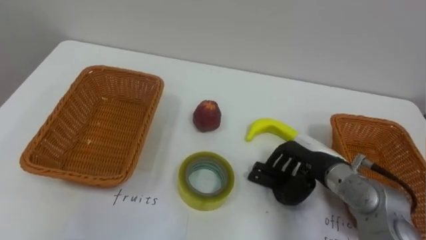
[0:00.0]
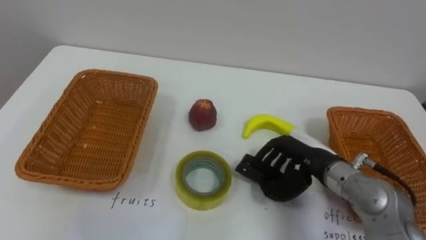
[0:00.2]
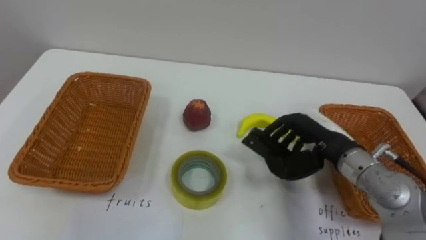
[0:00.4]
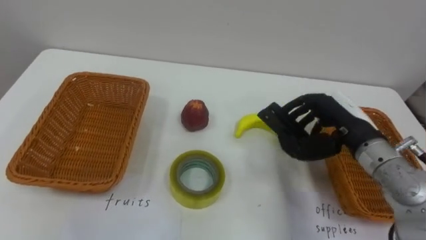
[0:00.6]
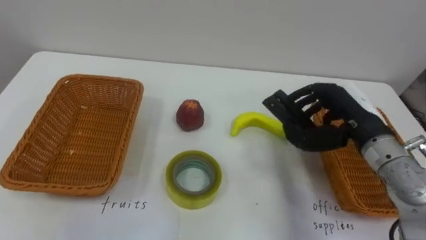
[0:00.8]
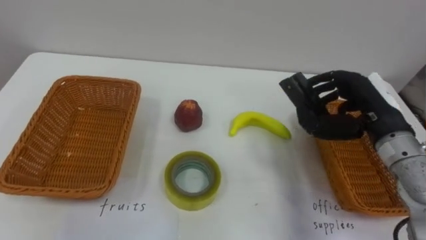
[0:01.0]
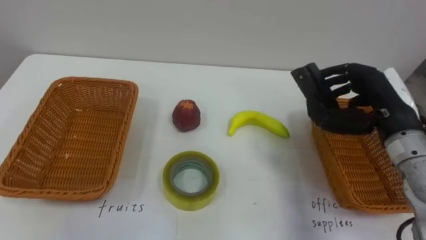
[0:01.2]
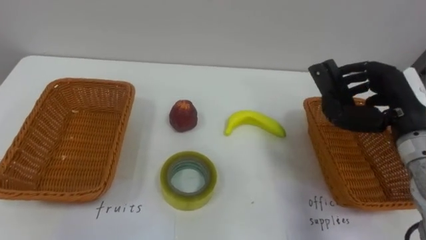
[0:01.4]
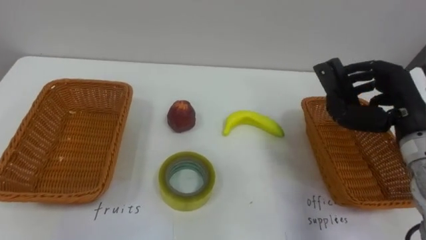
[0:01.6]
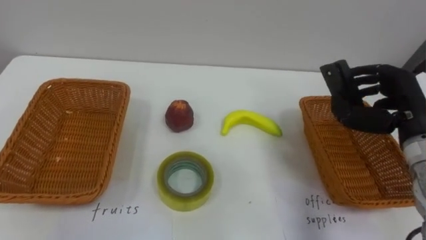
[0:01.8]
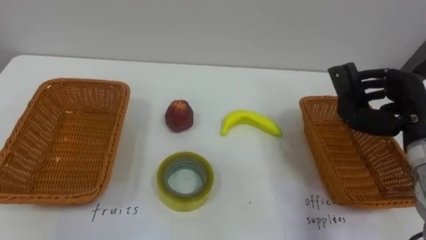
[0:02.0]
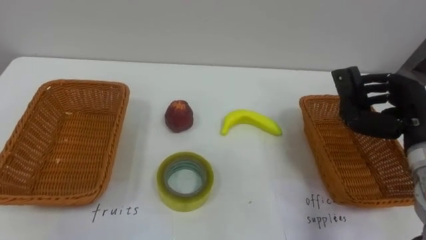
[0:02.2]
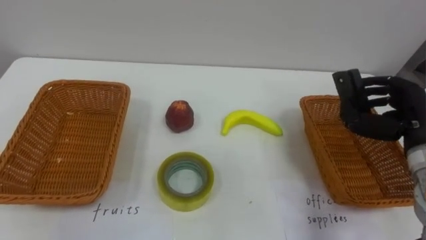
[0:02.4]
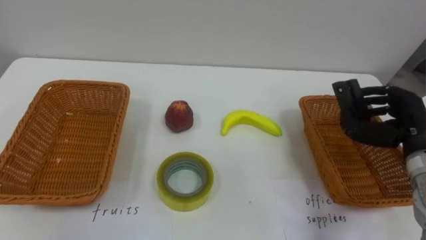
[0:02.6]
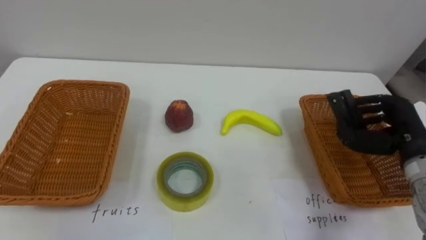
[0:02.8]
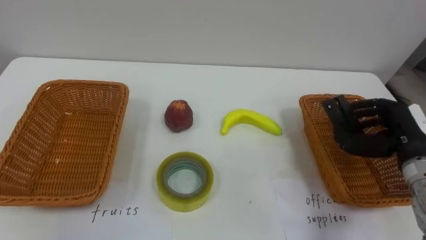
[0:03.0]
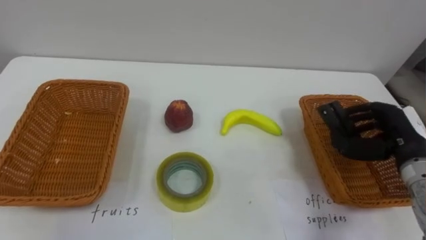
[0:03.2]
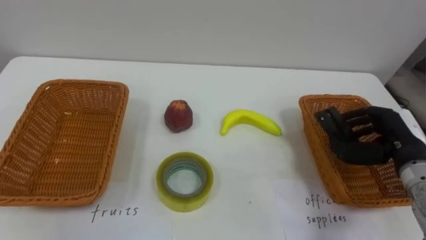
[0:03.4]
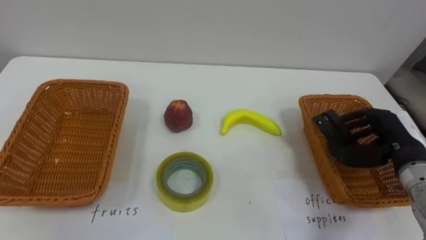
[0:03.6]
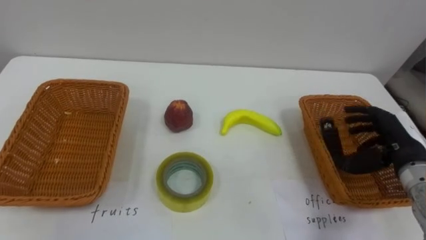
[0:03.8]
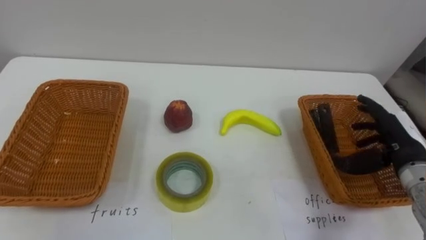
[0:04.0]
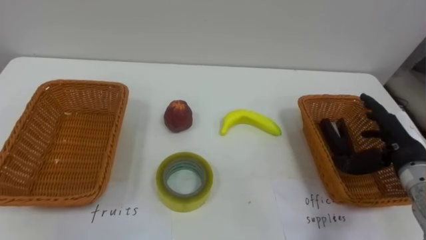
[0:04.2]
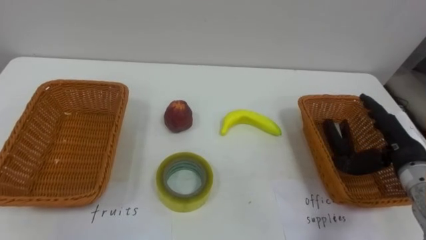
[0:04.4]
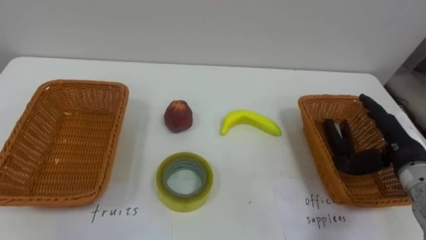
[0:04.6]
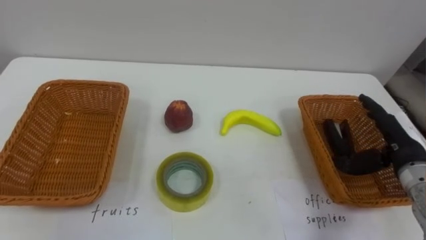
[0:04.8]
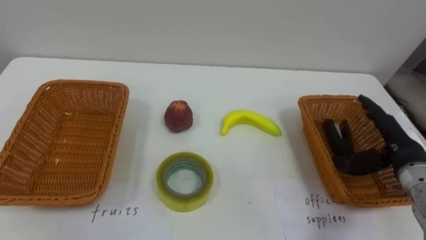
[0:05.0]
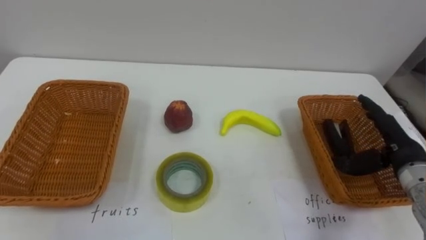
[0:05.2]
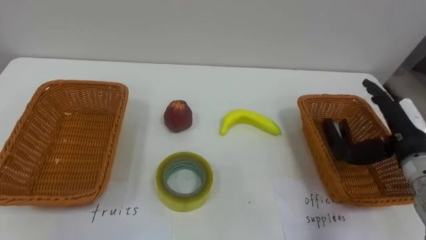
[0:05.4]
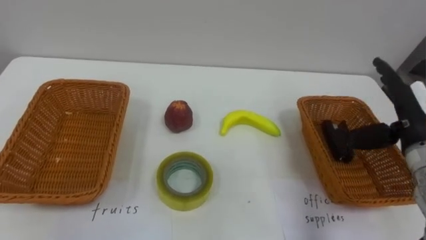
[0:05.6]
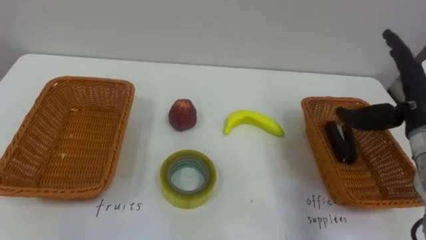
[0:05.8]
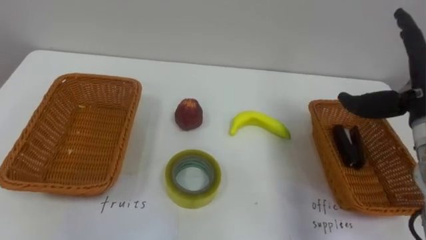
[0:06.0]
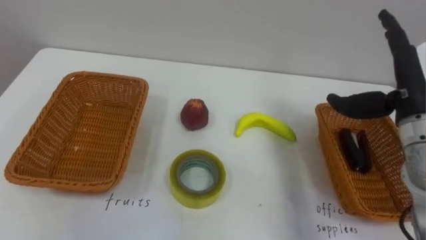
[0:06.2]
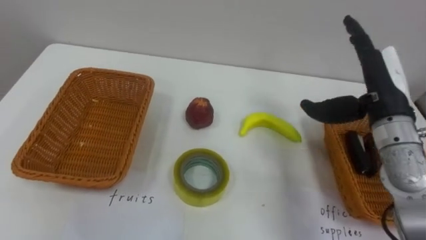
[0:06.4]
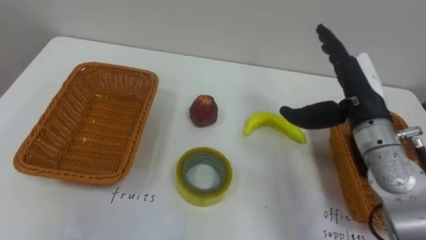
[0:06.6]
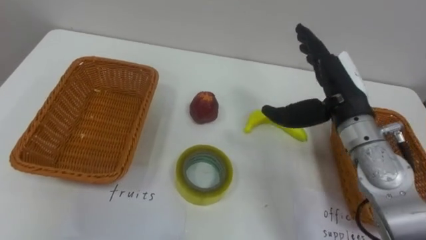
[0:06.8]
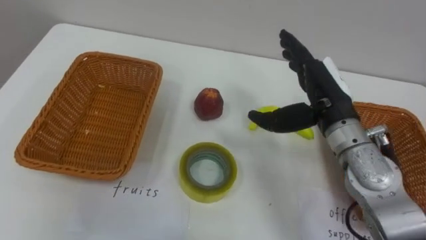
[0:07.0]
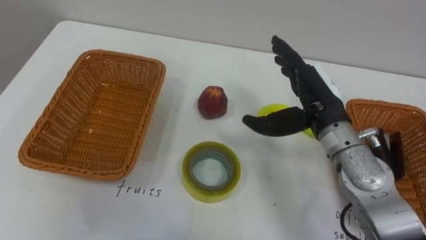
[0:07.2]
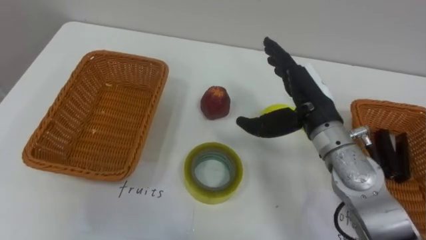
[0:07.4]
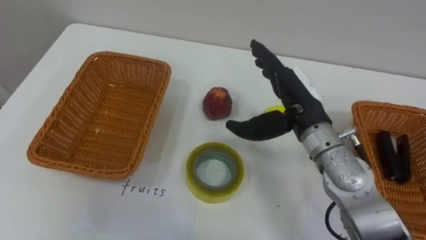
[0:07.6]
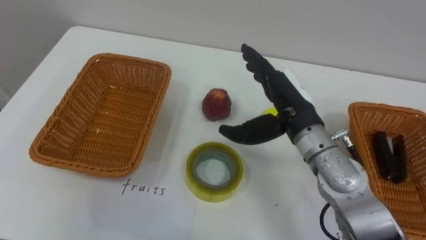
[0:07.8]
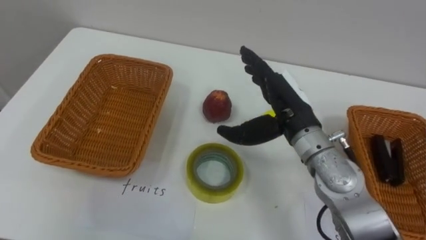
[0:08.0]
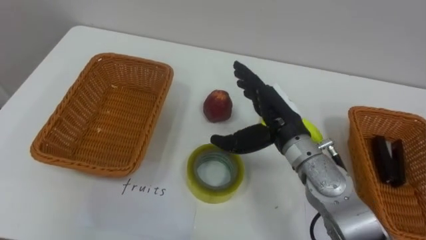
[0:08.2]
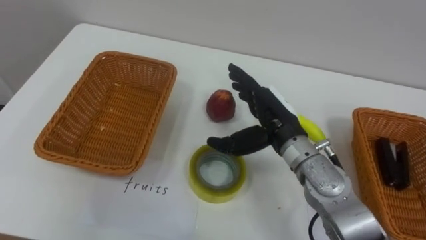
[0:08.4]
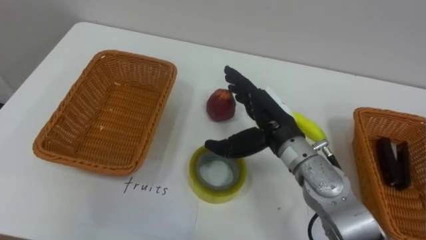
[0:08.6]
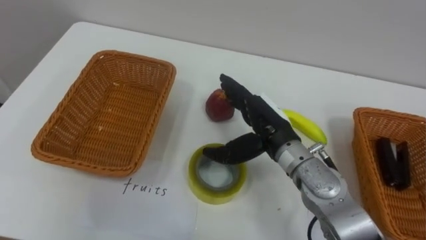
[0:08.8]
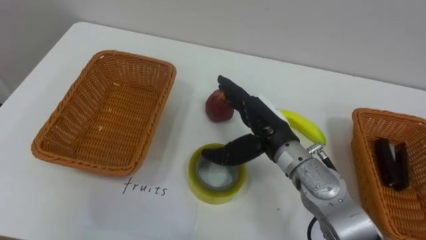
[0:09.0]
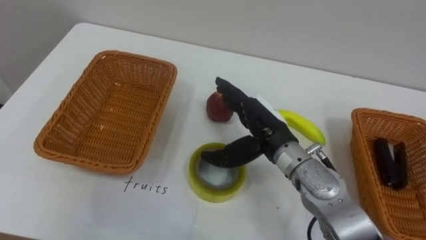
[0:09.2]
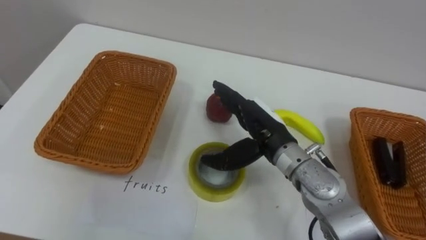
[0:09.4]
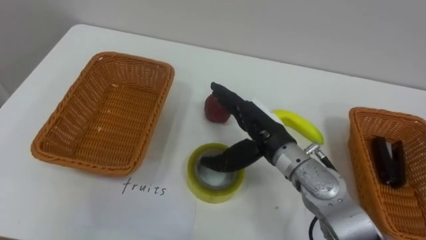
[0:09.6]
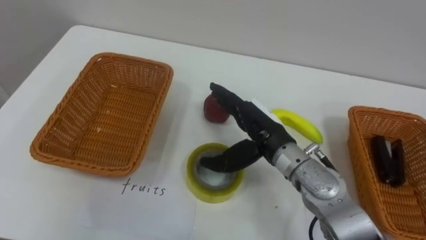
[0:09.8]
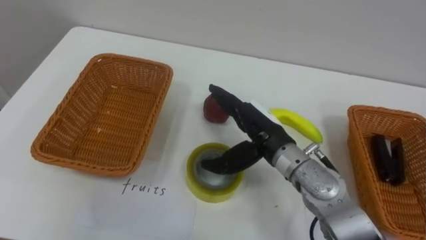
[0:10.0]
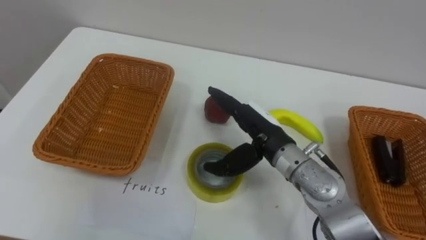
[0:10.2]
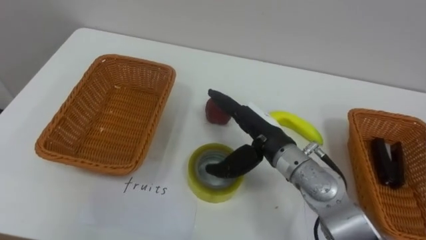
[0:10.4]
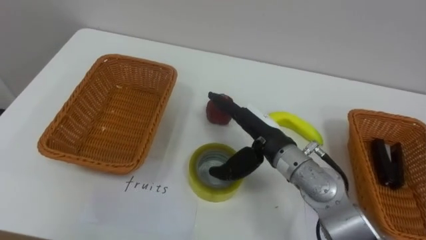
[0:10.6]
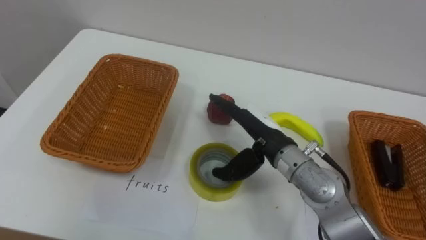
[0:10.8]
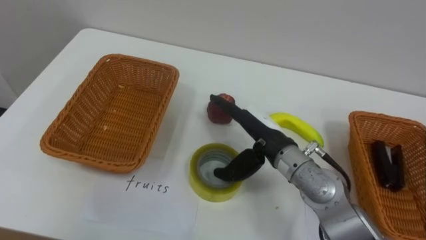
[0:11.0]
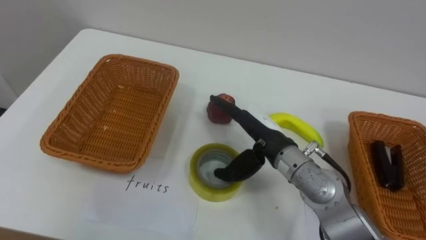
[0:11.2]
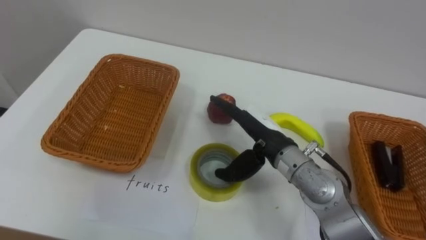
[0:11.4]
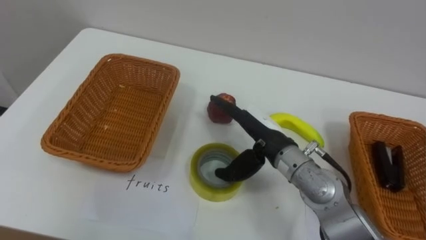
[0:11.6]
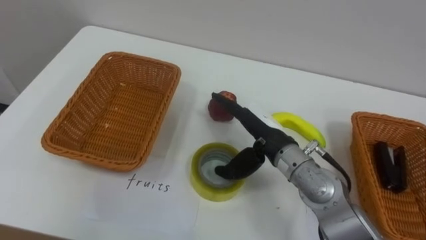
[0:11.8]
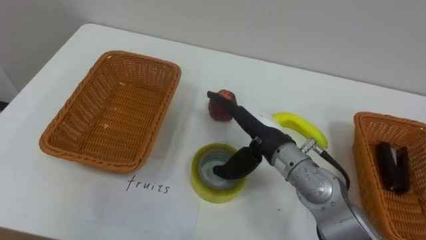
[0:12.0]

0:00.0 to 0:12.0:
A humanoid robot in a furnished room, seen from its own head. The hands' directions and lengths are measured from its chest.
Task of the whole recording: Separate the items on the table and place them into the two baskets.
0:00.0 to 0:01.6: The right hand shifts about 15 cm upward and to the right.
0:01.6 to 0:03.0: The right hand moves downward, about 5 cm.
0:03.0 to 0:04.4: The right hand opens.
0:04.4 to 0:06.0: The right hand shifts roughly 10 cm upward.
0:06.0 to 0:07.6: The right hand travels to the left by roughly 15 cm.
0:07.6 to 0:09.0: The right hand ends up roughly 5 cm from where it was.

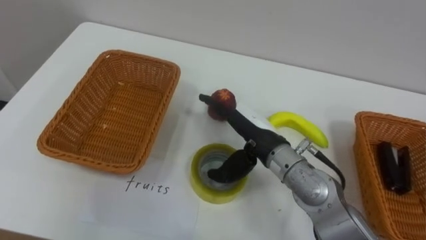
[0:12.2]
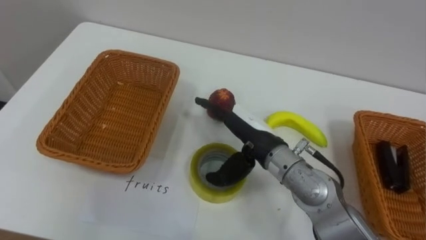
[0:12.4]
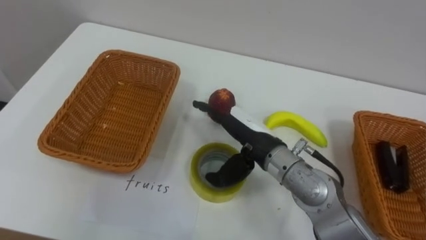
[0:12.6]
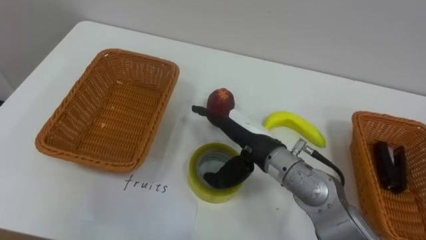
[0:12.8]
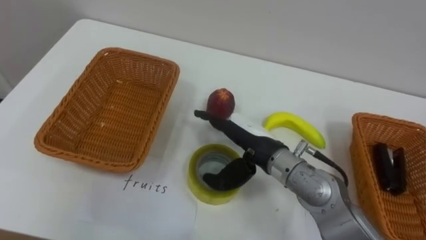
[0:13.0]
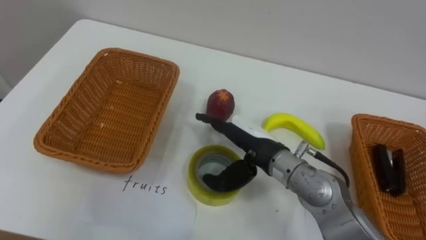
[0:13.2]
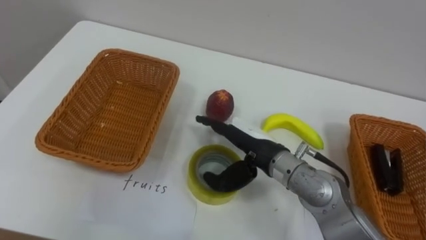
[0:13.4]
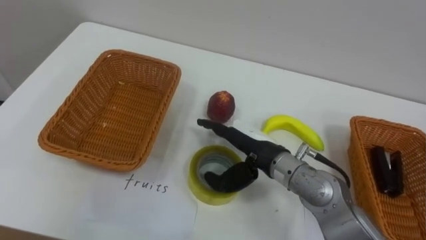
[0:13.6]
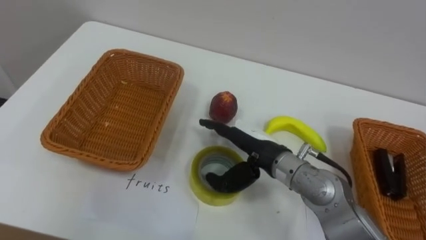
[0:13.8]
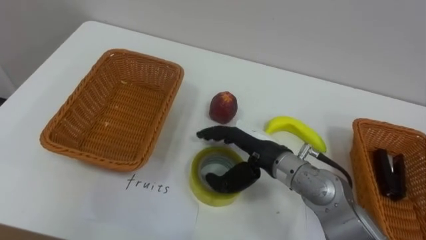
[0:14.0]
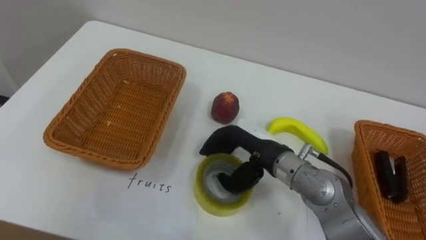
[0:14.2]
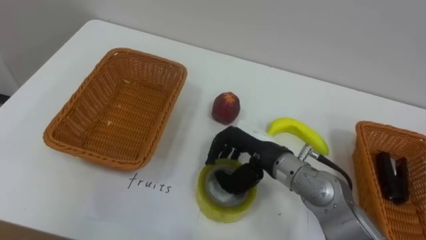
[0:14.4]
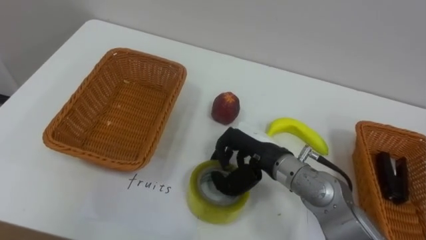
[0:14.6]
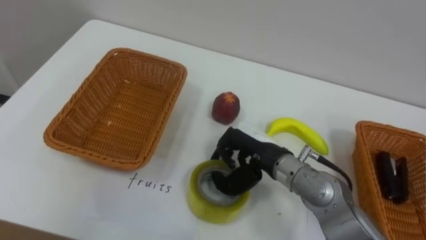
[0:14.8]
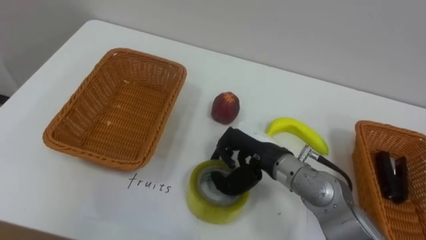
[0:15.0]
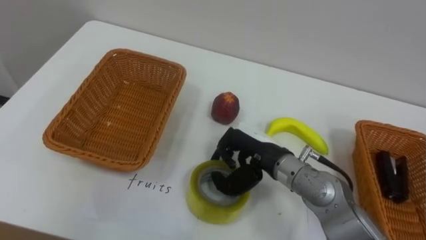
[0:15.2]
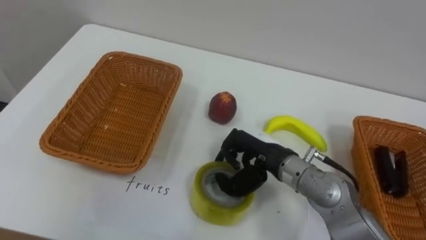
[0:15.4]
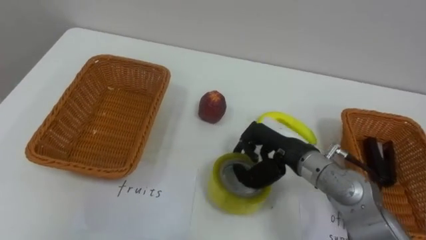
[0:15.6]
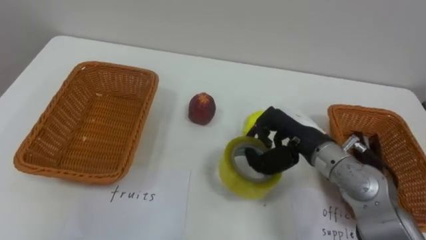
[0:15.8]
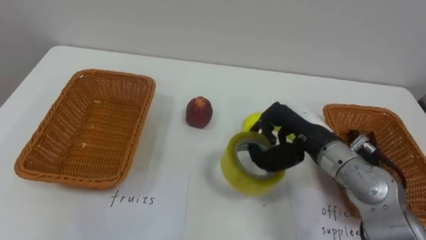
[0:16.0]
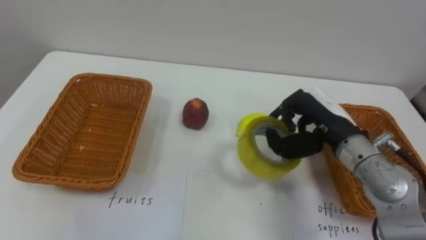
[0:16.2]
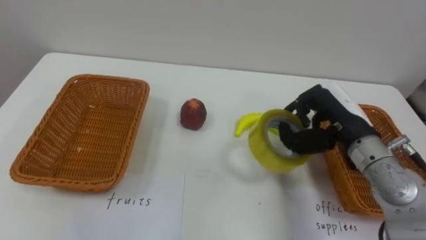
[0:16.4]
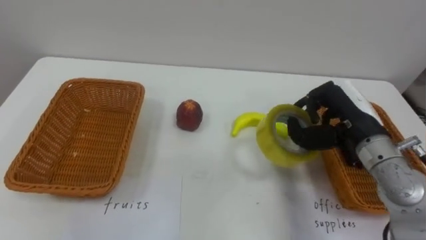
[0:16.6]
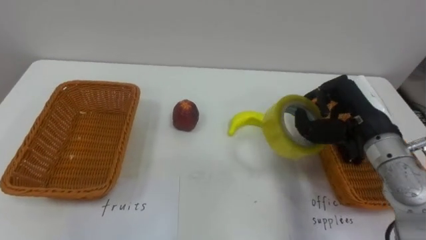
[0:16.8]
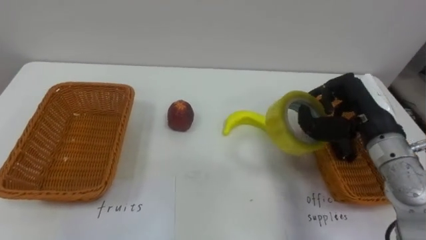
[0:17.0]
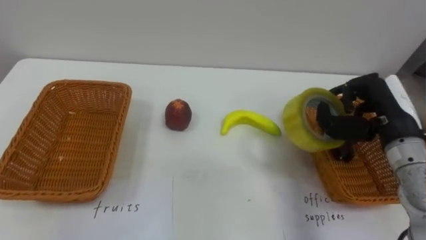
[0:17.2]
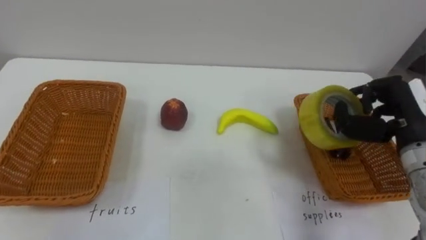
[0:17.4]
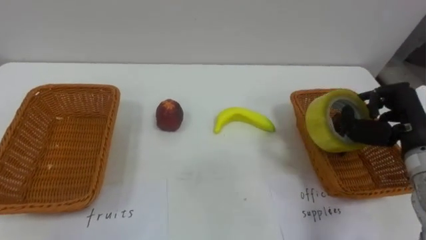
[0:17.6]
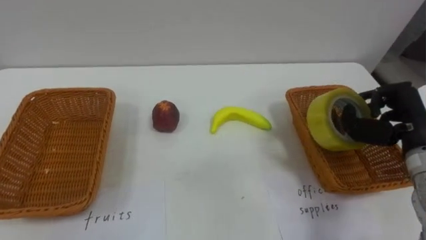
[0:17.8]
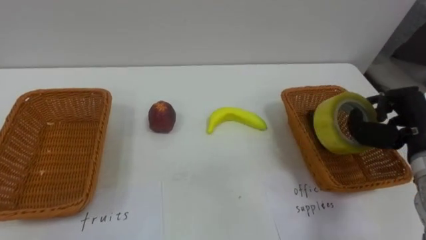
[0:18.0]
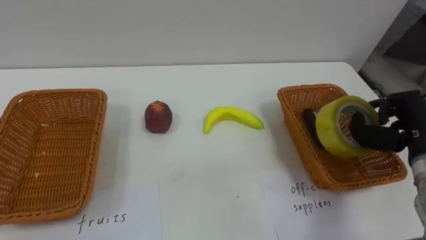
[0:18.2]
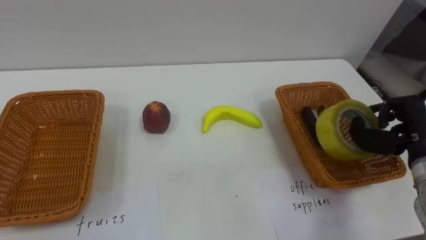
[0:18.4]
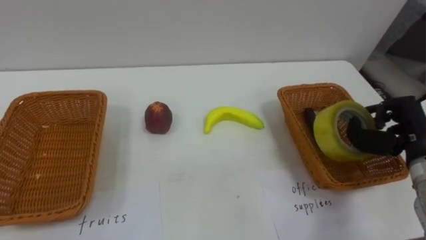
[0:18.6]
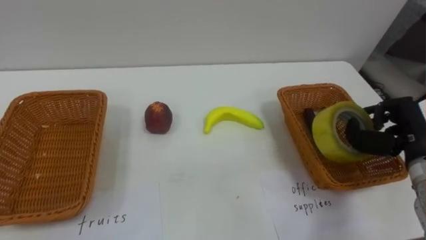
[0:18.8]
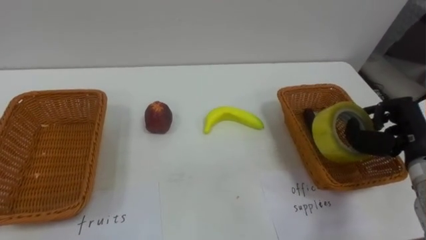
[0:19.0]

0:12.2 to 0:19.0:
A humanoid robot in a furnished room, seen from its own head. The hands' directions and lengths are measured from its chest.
Task of the whole recording: Separate the items on the table and place them into the two baskets.
0:13.6 to 0:15.0: The right hand closes up.
0:15.0 to 0:16.2: The right hand travels to the right and upward by approximately 10 cm.
0:16.2 to 0:17.6: The right hand goes roughly 15 cm to the right.
